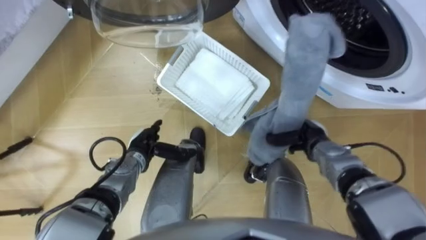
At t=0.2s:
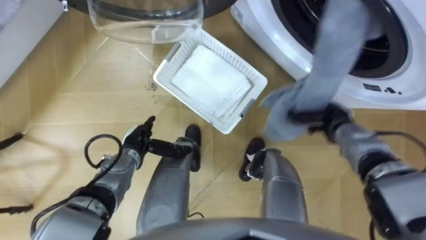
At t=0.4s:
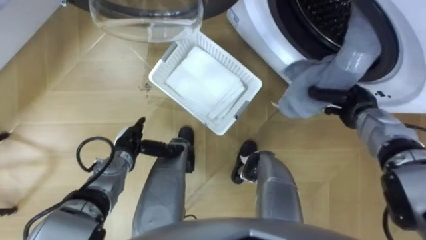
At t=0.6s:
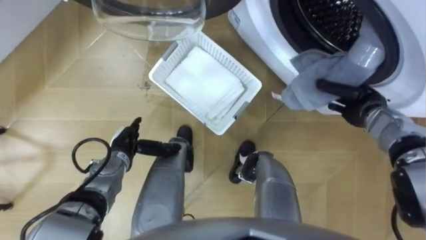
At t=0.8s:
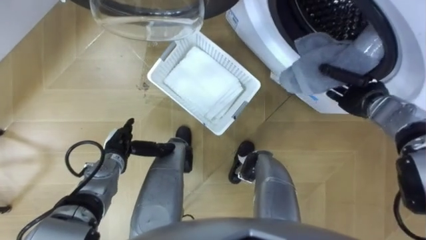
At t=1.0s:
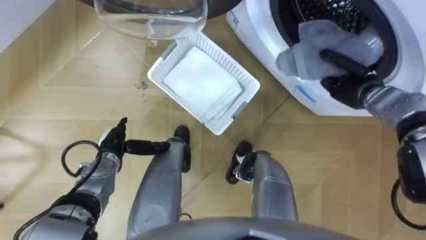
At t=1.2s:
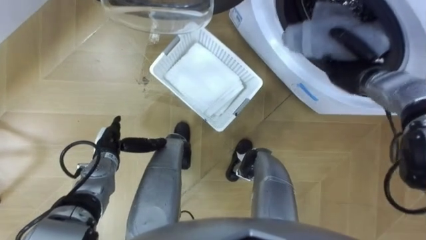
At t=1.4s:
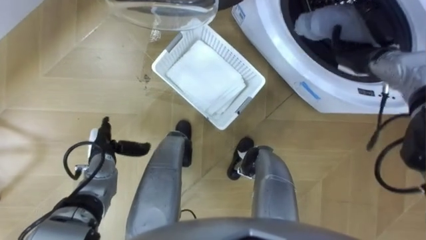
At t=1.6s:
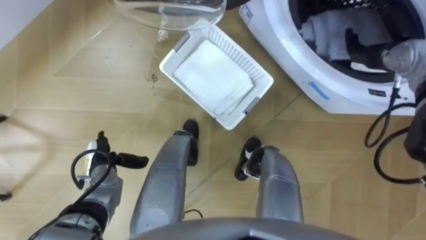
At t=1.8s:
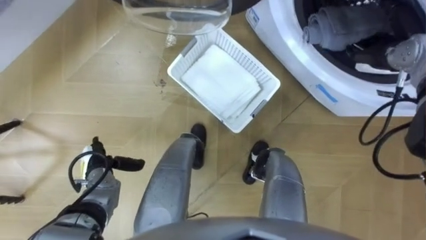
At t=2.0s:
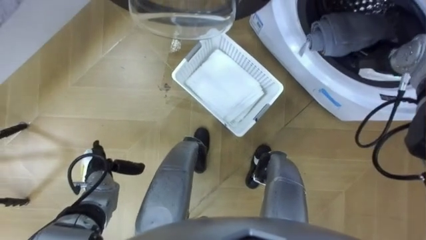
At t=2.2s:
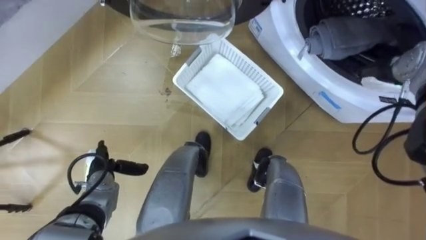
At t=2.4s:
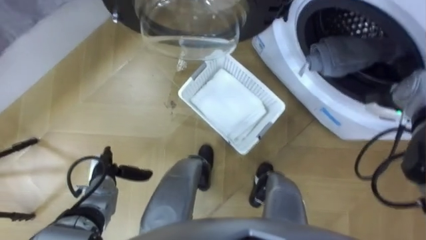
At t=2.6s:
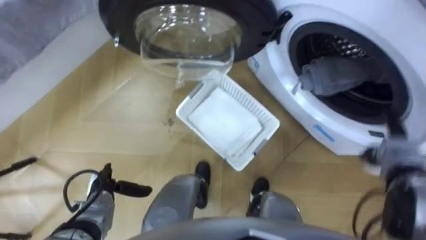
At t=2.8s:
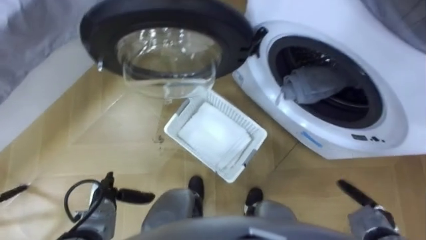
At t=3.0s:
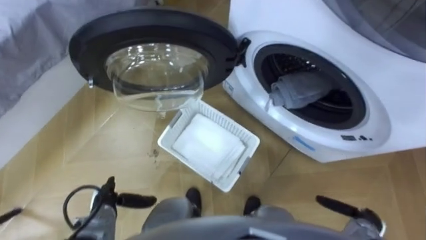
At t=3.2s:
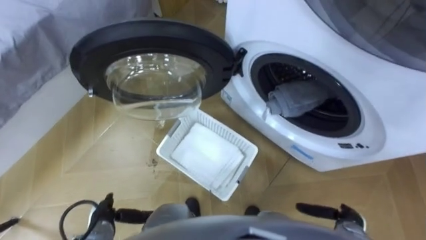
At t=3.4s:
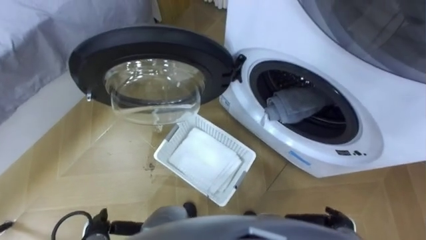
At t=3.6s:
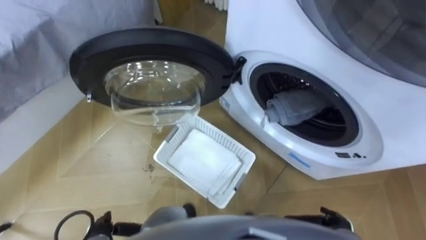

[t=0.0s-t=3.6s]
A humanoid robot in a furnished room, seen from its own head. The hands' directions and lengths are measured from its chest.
Task of the whole recording: Take the towel from the basket and put it into the washing machine.
t=0.0s to t=1.8s: The right hand goes about 25 cm upward, forward and to the right, and opens. Meanwhile the left hand moves to the left, about 10 cm.
t=1.8s to t=3.6s: The left hand is displaced backward by about 15 cm, while the right hand heads backward and downward, covering about 40 cm.

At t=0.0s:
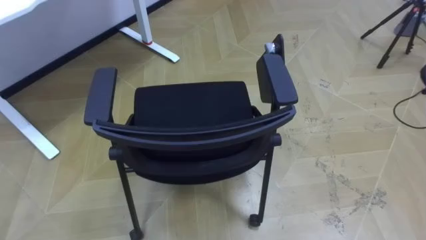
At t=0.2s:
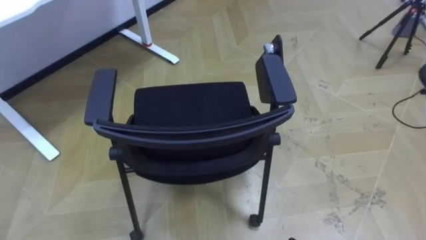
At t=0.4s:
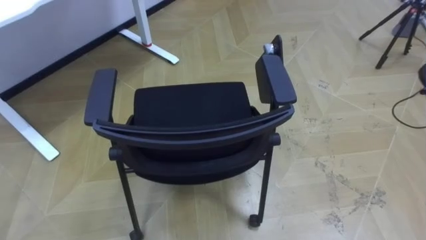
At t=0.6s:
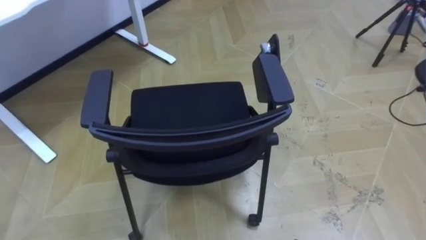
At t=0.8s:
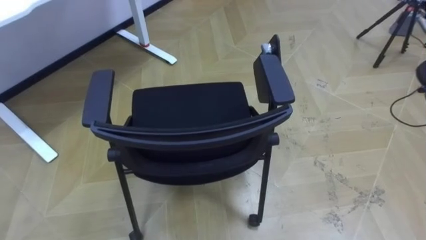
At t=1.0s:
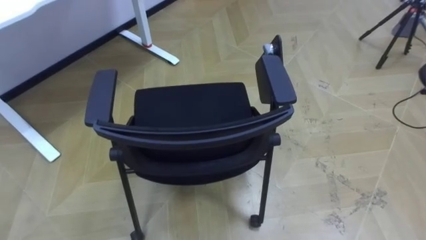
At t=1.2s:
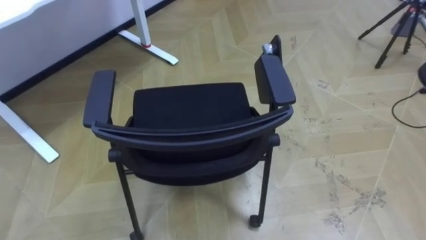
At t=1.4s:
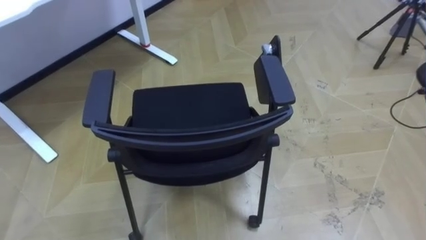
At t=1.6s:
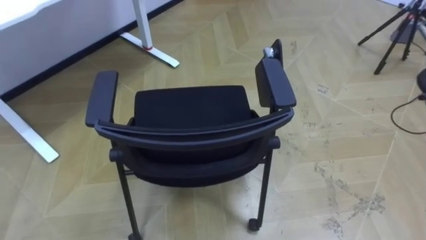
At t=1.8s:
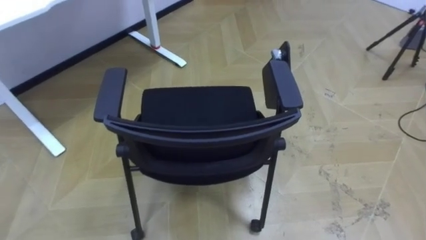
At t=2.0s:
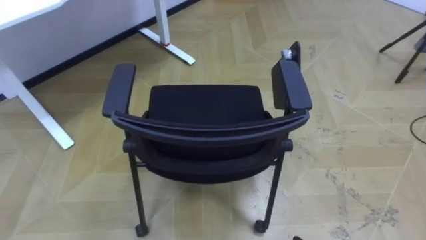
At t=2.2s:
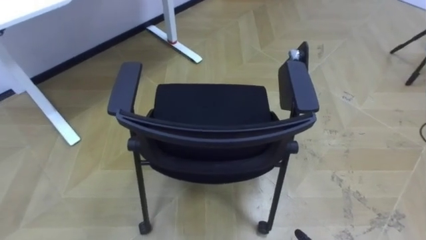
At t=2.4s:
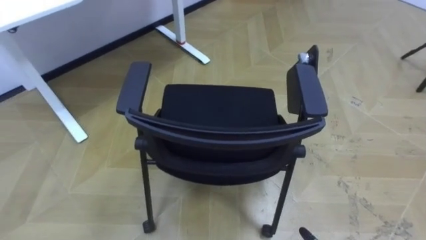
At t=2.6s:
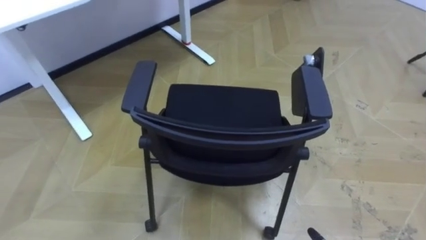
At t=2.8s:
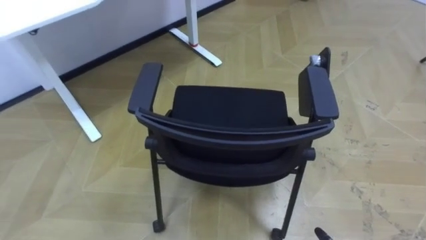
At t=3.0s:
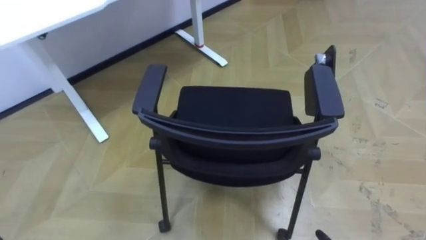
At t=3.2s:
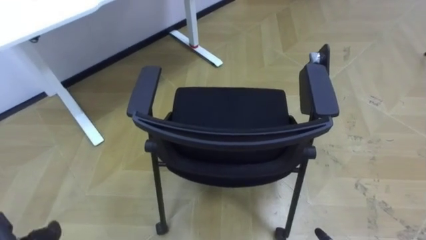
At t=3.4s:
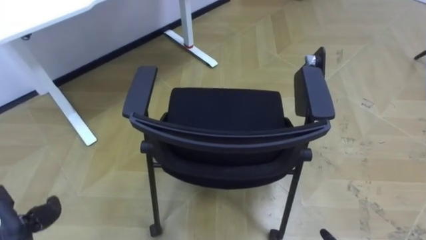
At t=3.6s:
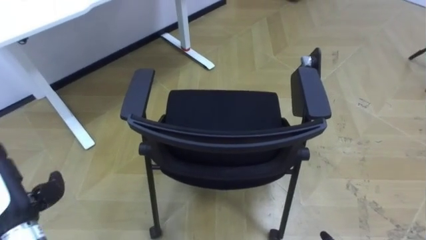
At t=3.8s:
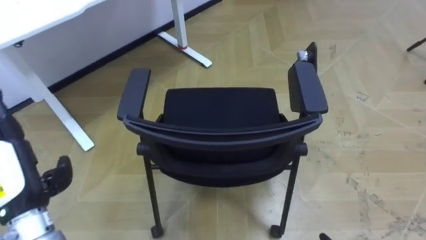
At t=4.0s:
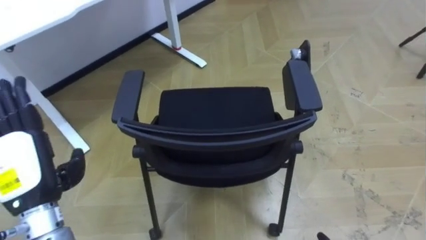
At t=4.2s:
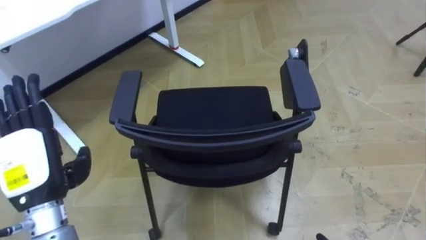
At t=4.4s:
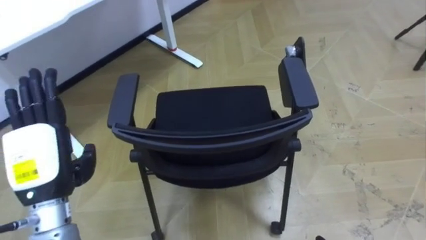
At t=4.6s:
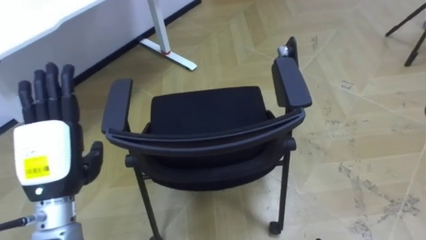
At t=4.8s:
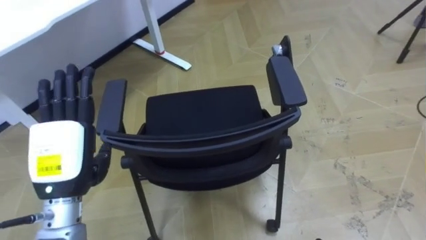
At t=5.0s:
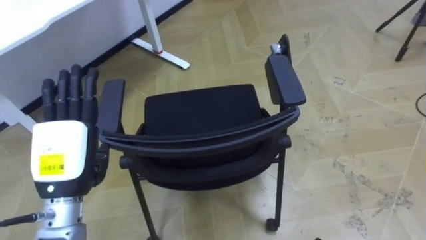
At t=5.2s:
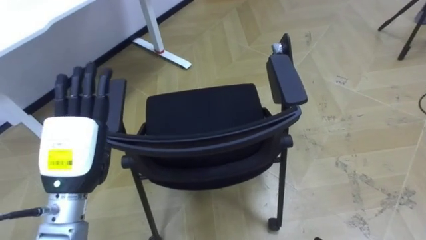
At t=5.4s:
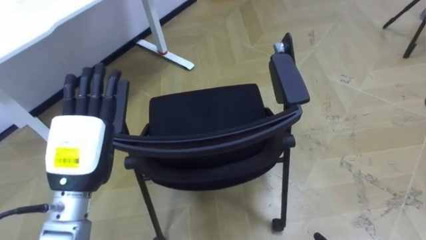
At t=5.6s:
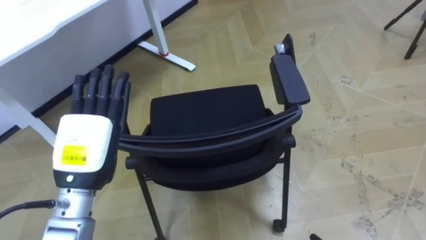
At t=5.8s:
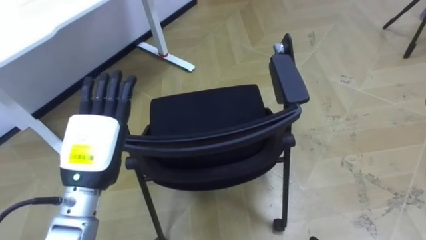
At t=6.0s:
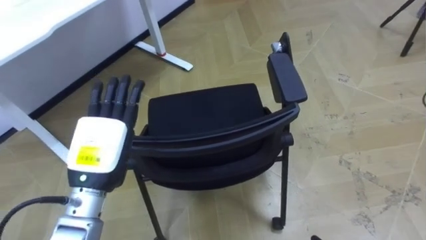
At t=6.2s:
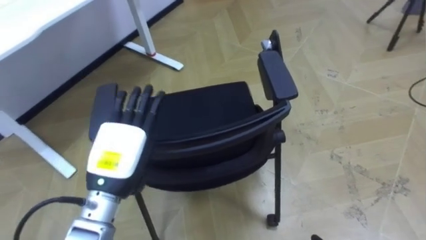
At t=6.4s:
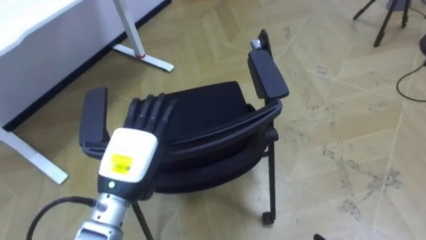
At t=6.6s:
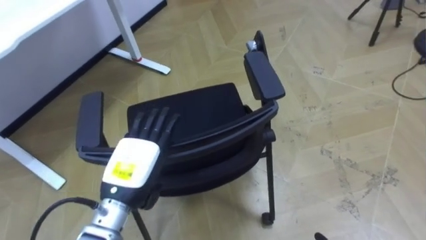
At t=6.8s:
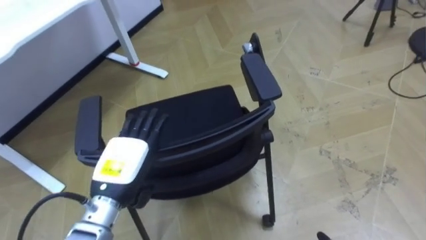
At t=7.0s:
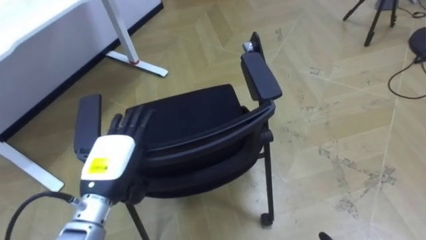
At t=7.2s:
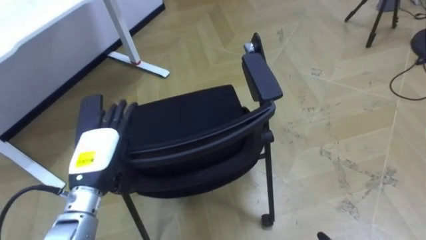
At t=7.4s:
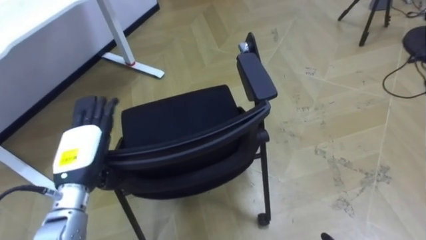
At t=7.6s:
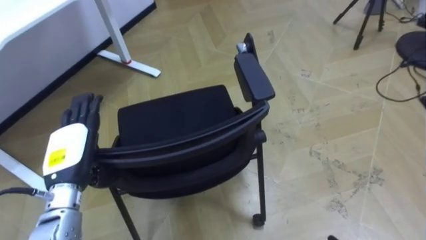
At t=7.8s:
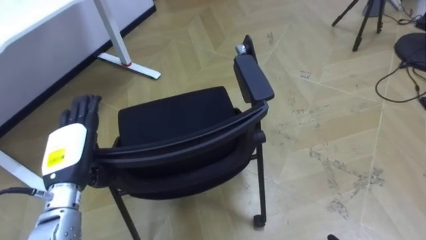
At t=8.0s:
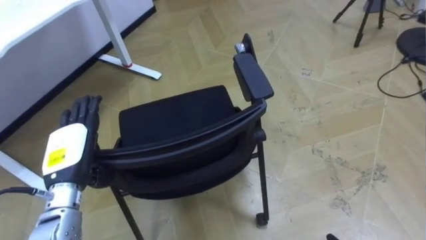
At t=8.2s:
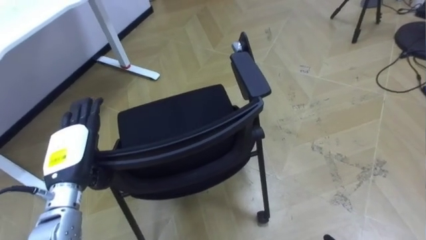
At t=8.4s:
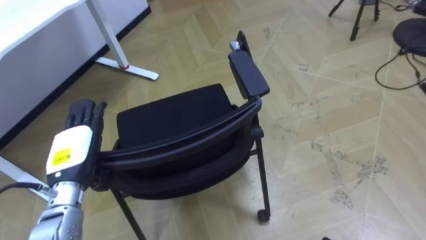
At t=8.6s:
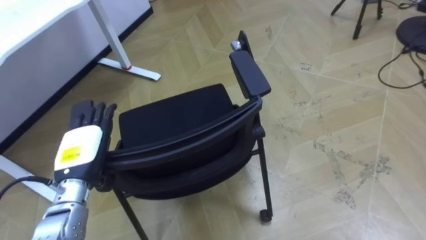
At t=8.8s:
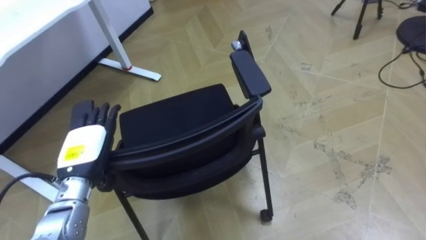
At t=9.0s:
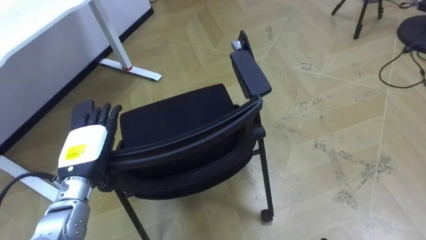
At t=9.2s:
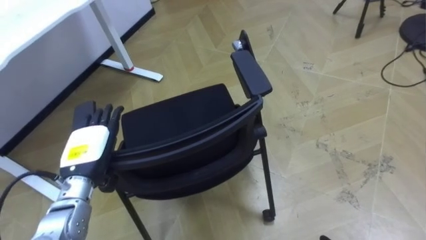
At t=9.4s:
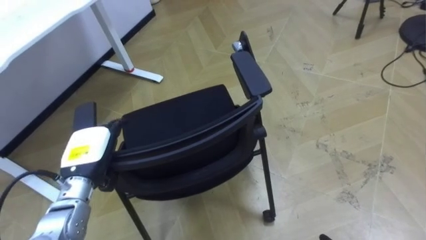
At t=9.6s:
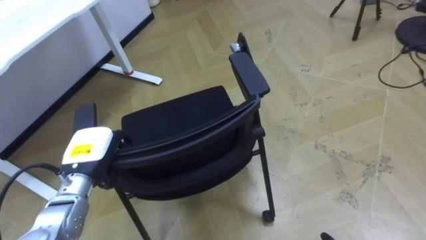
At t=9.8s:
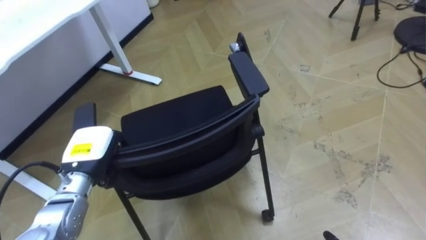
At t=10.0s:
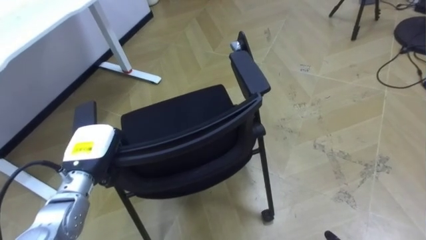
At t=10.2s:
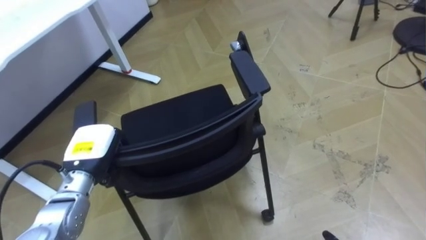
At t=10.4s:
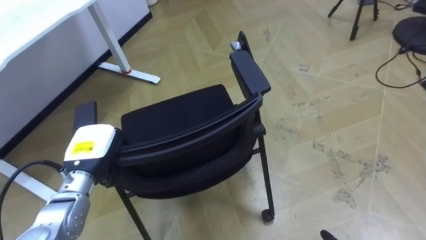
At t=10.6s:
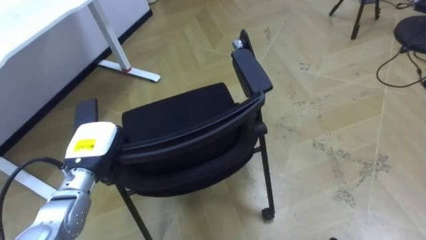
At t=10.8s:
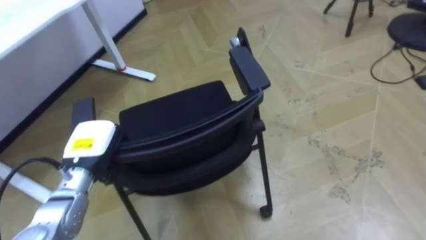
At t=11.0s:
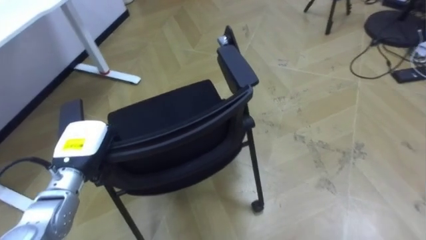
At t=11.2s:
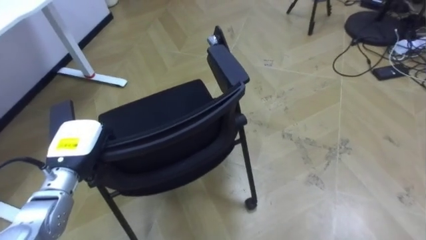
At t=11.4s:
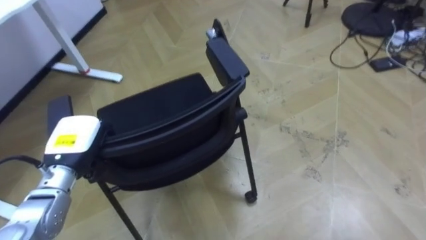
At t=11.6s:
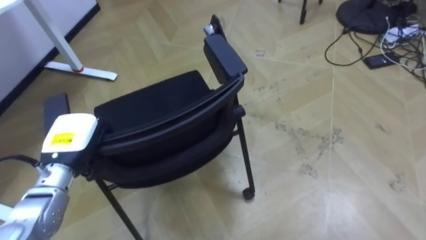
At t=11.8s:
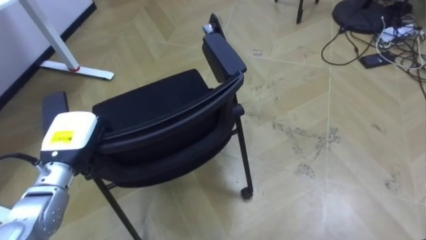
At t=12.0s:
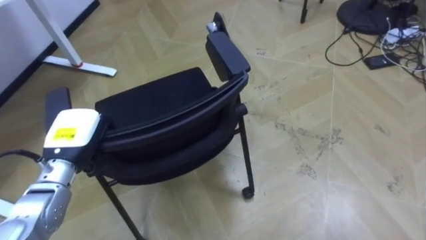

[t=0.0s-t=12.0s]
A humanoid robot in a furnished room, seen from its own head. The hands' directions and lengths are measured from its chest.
Task of the whole recording: Push the chair under the table.
t=4.4s to t=6.0s: The left hand travels to the right by approximately 5 cm.
t=6.0s to t=7.6s: The left hand heads to the left and downward, covering roughly 10 cm.
t=9.0s to t=10.4s: The left hand closes its fingers.

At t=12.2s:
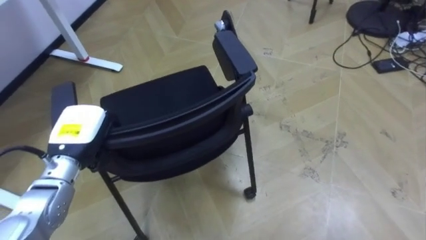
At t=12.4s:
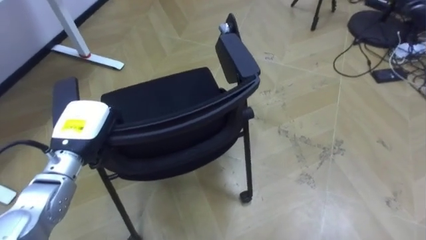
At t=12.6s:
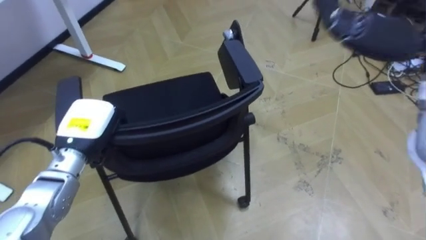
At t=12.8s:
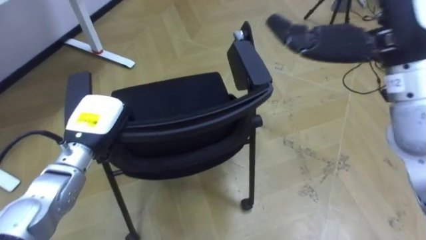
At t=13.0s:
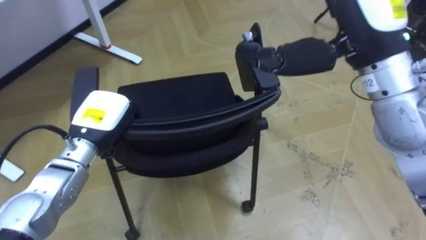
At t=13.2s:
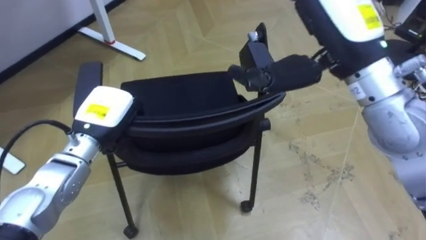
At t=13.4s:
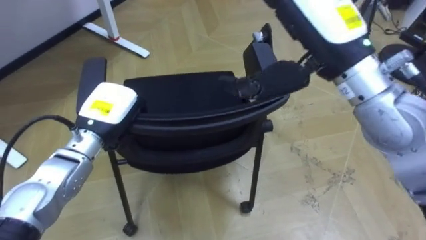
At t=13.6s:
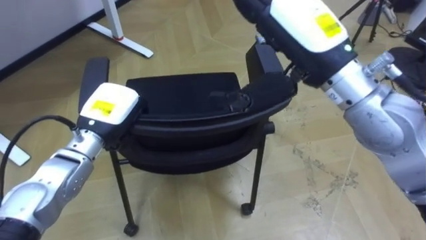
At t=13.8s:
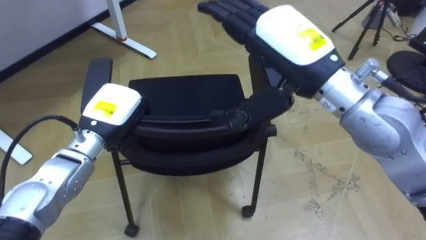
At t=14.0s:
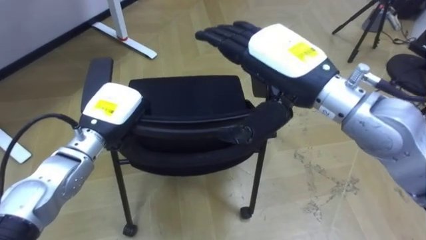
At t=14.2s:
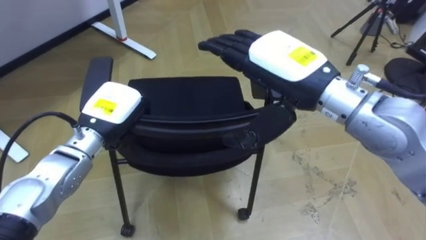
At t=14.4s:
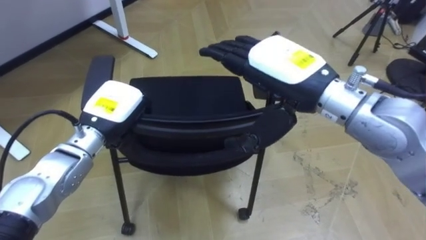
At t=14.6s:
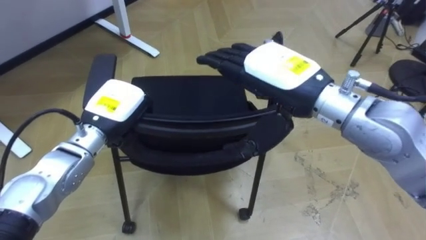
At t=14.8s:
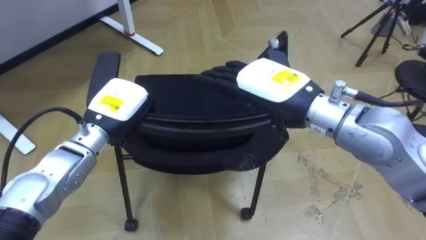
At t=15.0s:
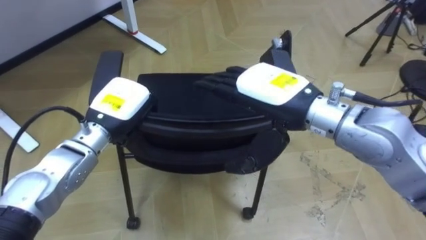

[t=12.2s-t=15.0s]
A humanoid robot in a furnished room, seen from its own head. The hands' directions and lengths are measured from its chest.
Task of the whole recording: Push the chair under the table.
t=12.2s to t=13.6s: The left hand moves to the right, about 5 cm.
t=13.6s to t=15.0s: The right hand shifts roughly 10 cm downward.
